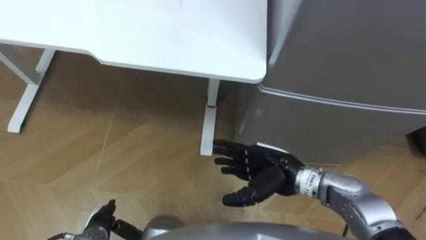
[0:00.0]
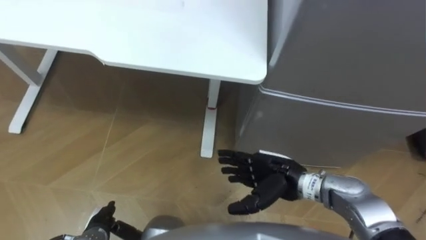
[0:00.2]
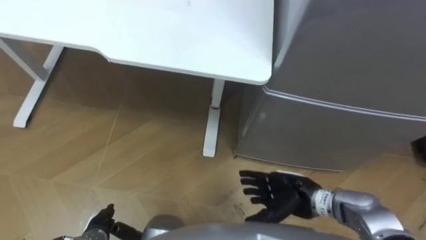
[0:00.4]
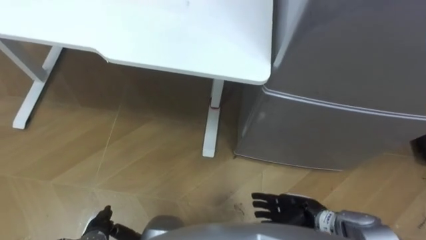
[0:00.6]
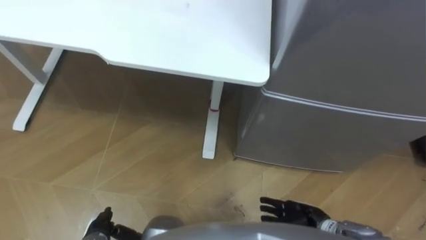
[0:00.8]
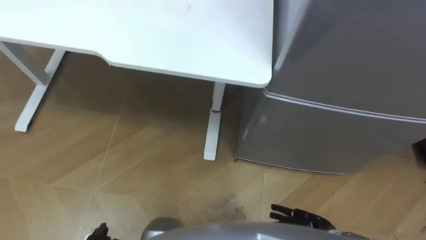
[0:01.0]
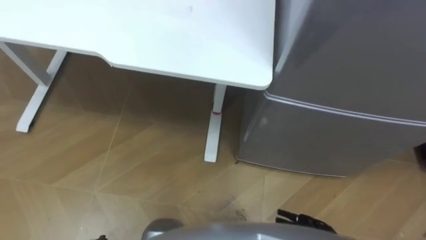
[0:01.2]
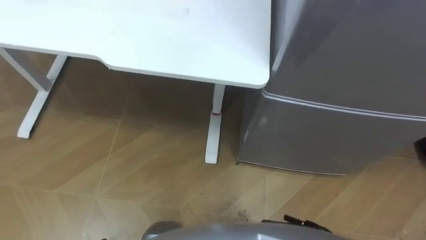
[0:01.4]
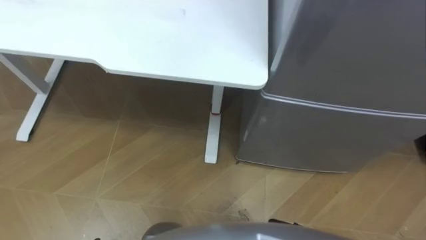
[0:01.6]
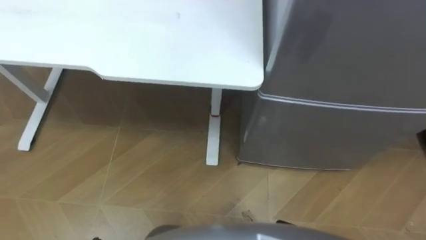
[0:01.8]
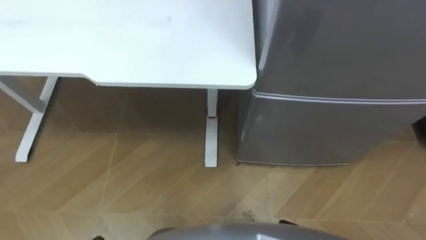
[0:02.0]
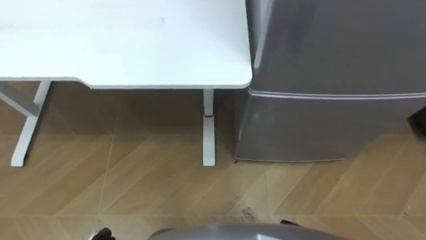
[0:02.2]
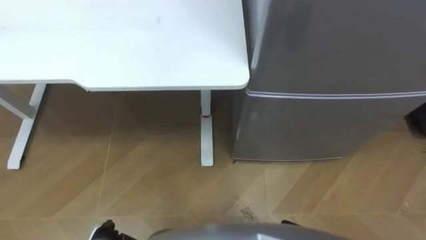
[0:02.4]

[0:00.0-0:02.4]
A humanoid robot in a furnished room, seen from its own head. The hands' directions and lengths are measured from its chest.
Task of the whole recording: Place the drink on the table on the bottom shelf of the refrigerator, then close the drawer and the refrigerator door.
0.0 to 1.2 s: The right hand shifts about 20 cm downward, backward and to the right.

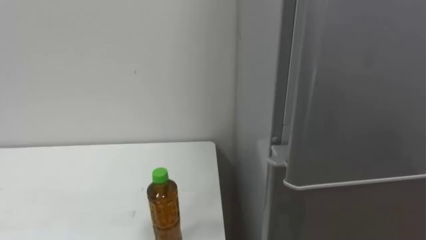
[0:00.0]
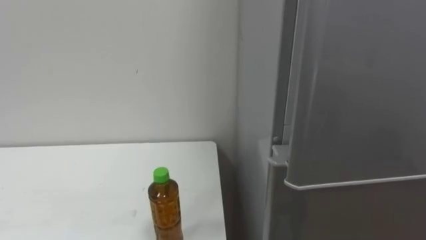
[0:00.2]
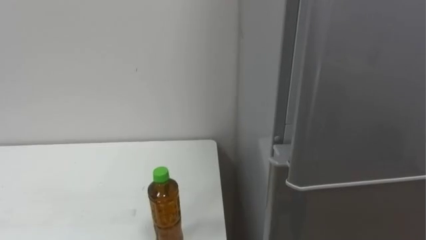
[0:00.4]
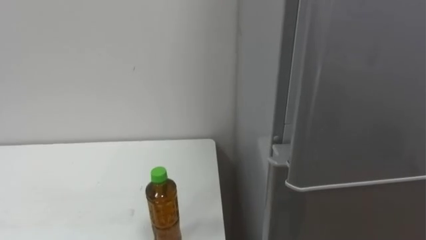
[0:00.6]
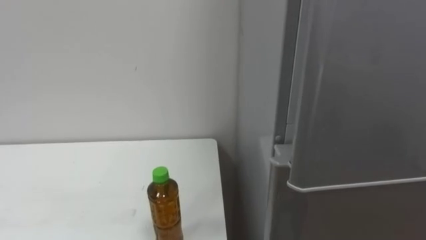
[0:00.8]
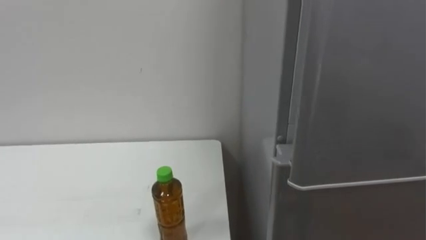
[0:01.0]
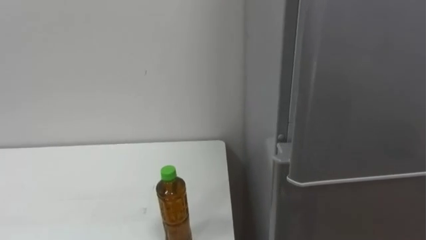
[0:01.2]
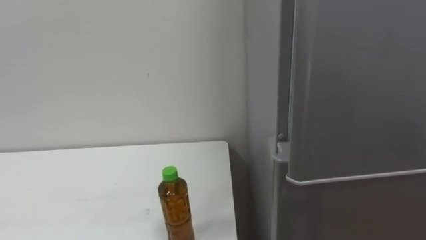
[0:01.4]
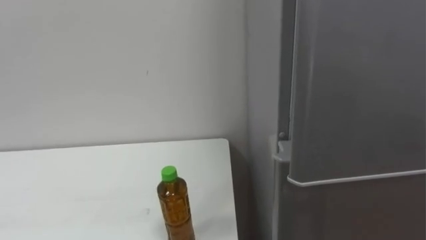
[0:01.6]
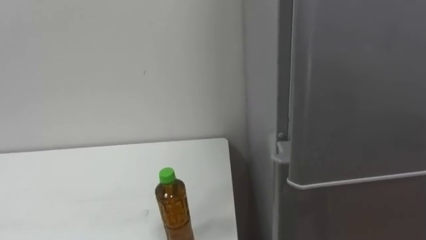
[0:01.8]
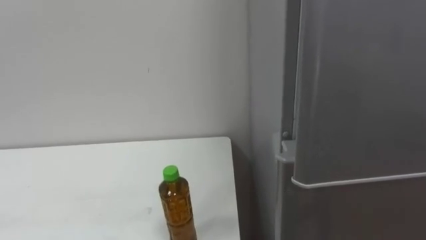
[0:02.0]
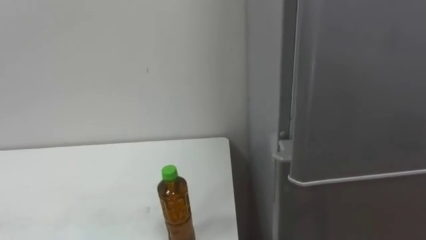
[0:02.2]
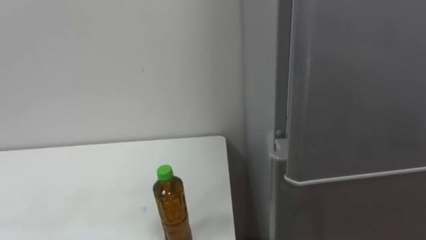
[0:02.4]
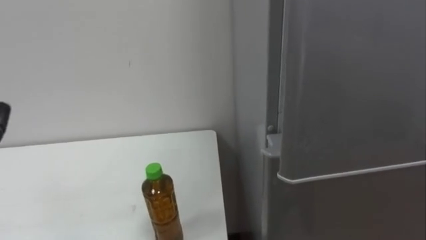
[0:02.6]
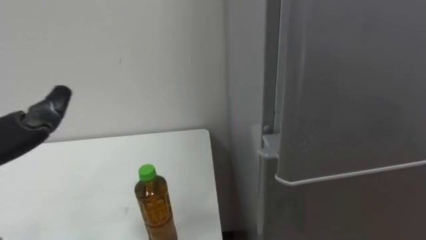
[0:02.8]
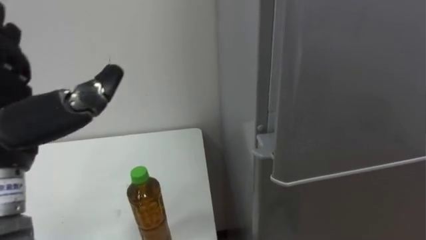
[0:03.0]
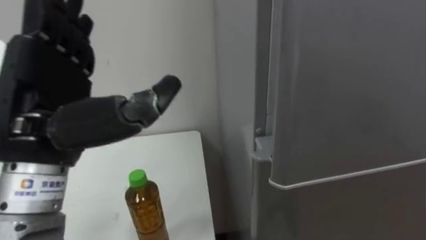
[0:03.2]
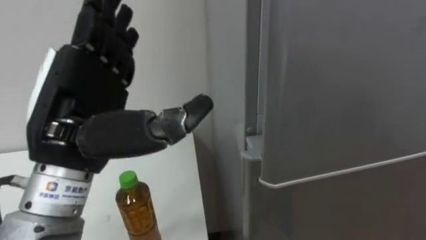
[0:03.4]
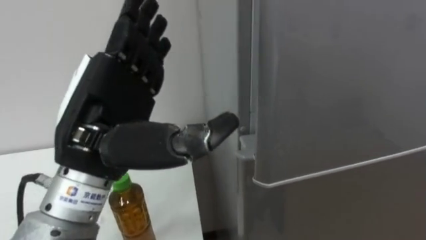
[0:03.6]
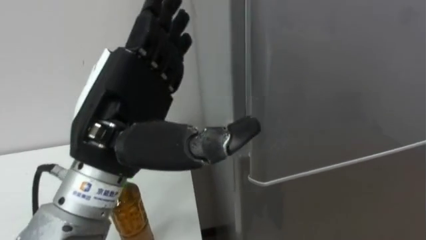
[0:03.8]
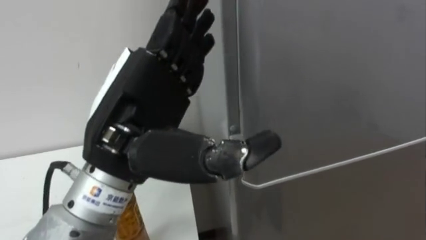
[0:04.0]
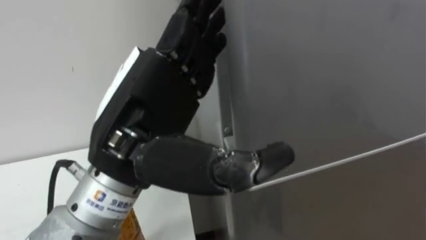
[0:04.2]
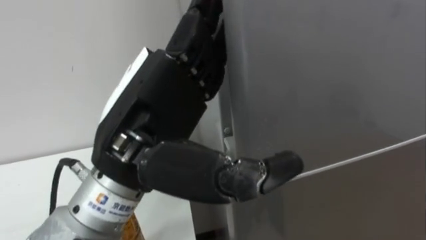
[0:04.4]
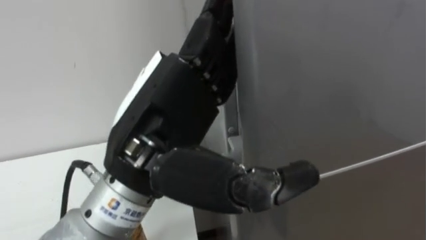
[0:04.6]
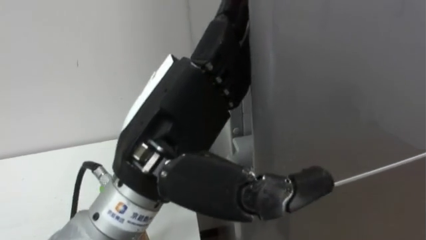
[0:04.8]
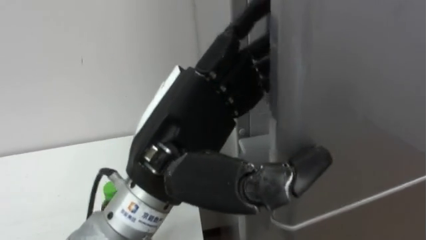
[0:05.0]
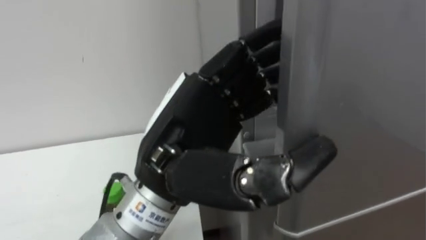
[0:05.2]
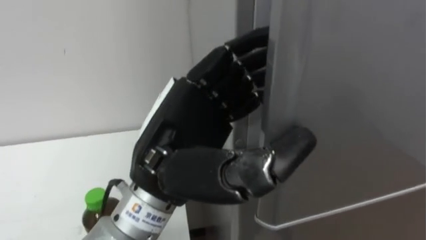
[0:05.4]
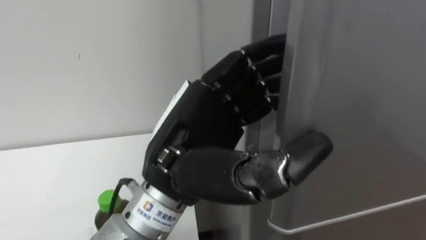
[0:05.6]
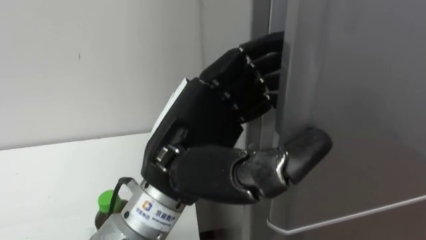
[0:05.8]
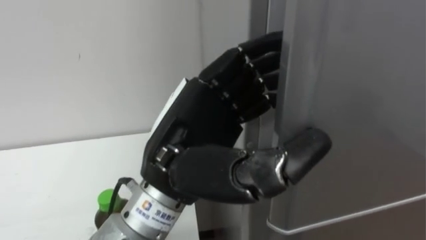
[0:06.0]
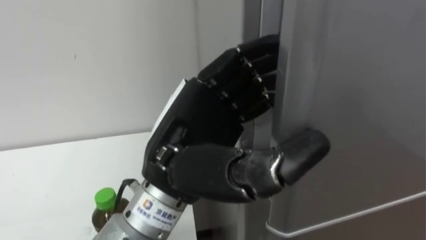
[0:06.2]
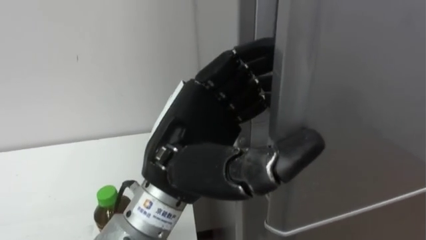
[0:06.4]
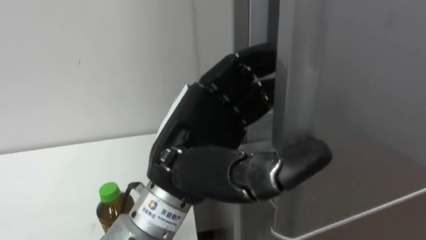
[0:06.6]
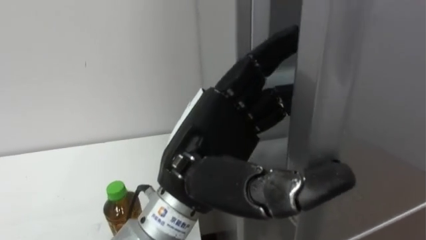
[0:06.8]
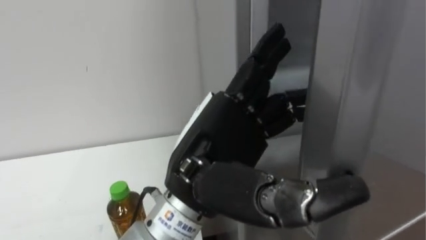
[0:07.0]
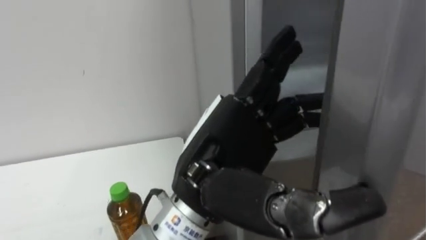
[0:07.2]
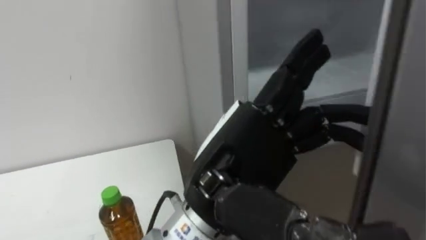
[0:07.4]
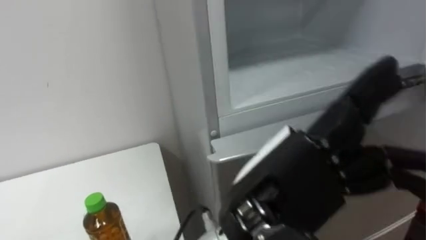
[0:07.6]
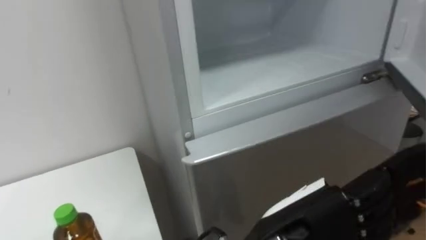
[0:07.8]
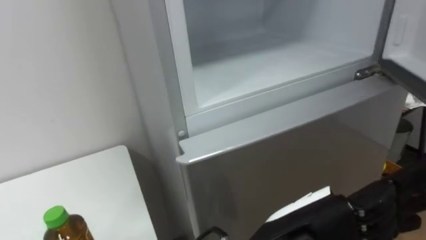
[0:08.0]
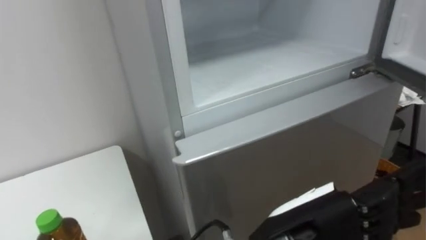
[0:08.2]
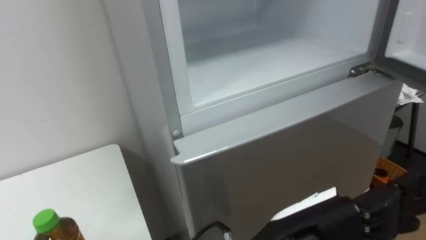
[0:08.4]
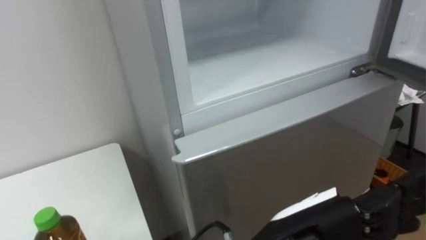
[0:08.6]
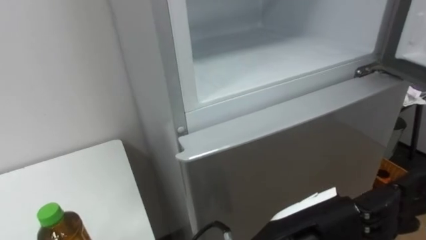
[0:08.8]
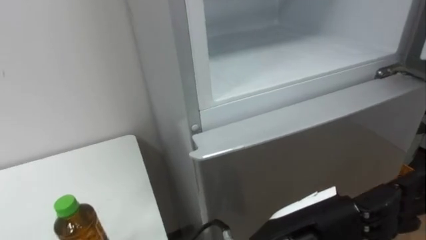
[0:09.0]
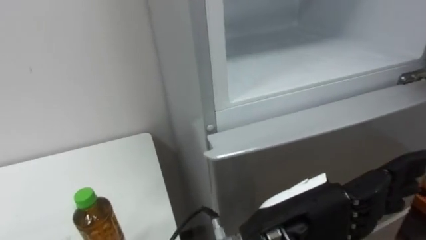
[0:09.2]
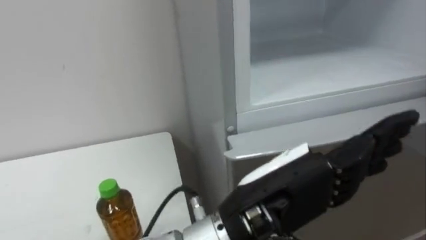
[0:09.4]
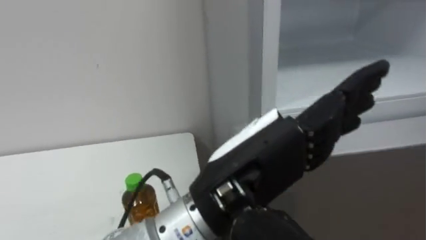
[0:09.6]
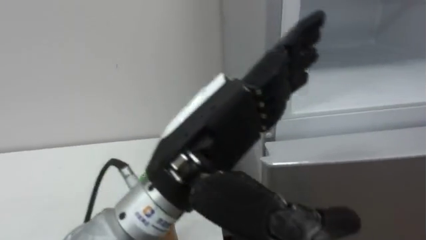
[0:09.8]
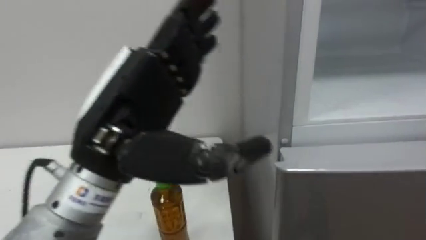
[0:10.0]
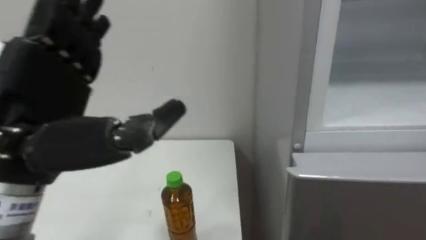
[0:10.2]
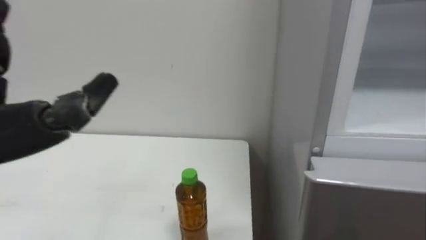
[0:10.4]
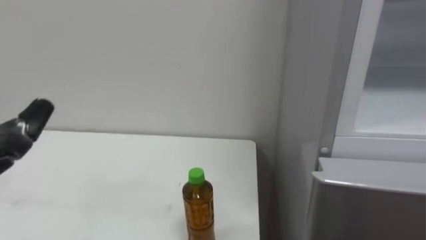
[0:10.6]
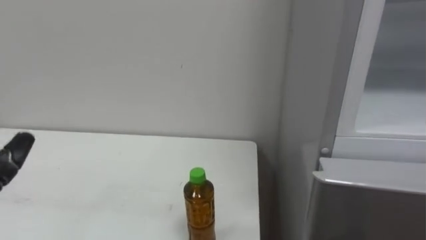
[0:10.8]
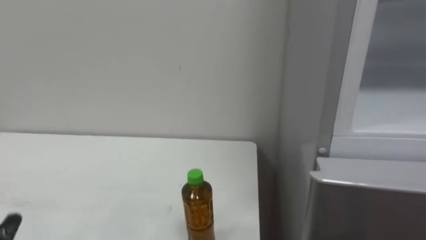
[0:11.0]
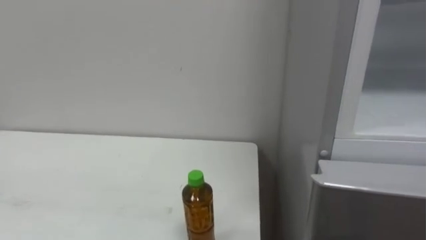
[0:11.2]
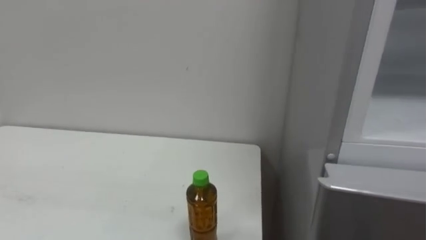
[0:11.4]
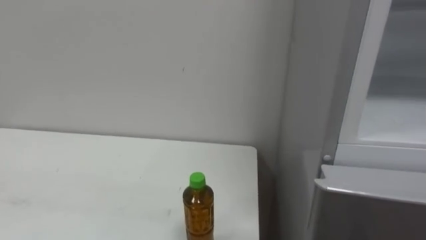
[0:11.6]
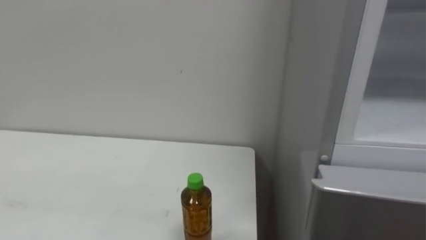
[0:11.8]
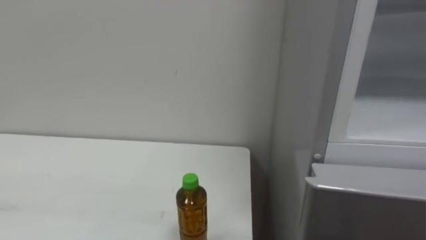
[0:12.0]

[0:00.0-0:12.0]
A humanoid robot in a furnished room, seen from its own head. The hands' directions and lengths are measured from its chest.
Task of the whole recording: Open the upper refrigerator door, put the drink from the table into the refrigerator, and then close the refrigerator door.
4.4 to 6.0 s: The left hand moves roughly 5 cm, and closes up.
6.0 to 7.6 s: The left hand travels to the right by some 10 cm, and opens up.
7.6 to 9.0 s: The left hand goes approximately 5 cm downward.

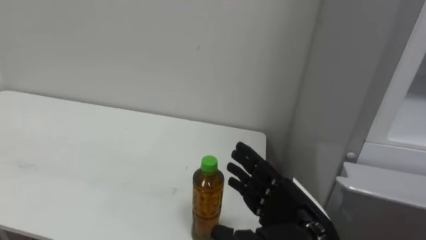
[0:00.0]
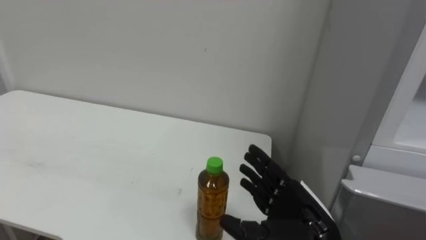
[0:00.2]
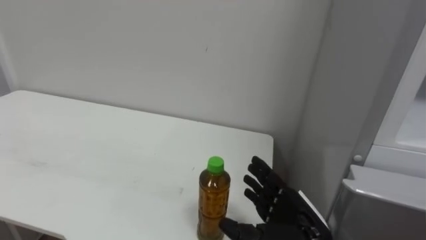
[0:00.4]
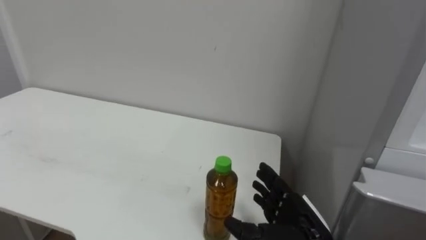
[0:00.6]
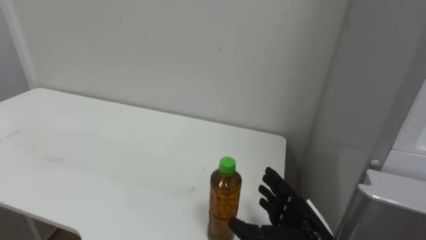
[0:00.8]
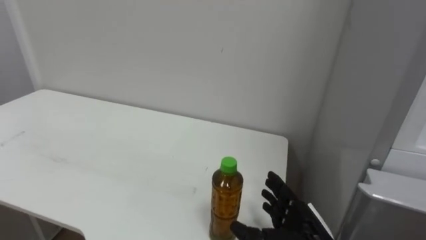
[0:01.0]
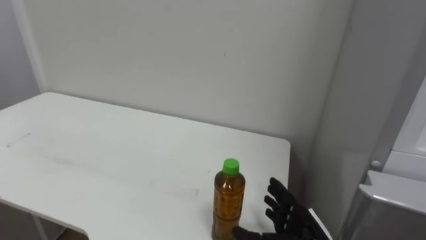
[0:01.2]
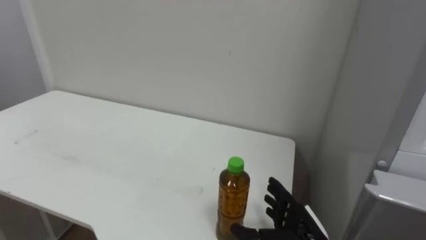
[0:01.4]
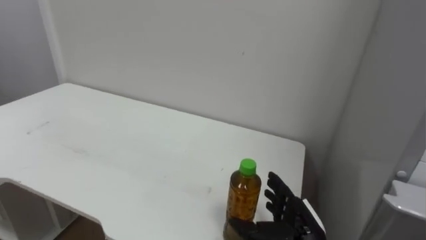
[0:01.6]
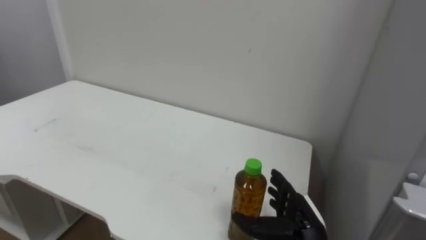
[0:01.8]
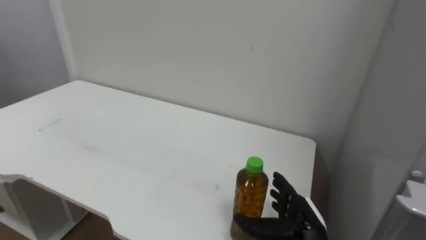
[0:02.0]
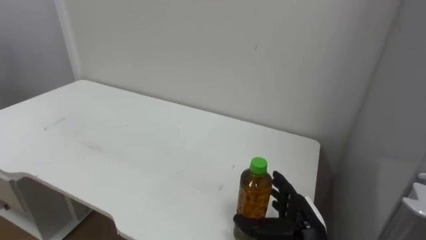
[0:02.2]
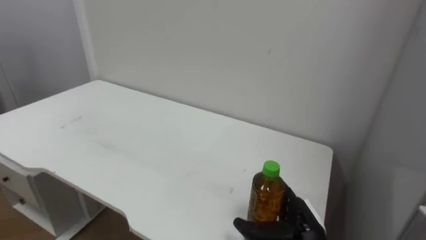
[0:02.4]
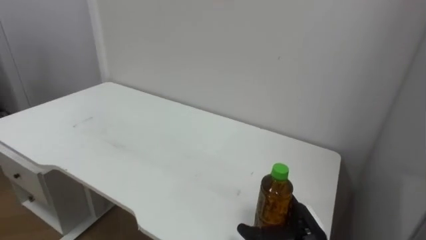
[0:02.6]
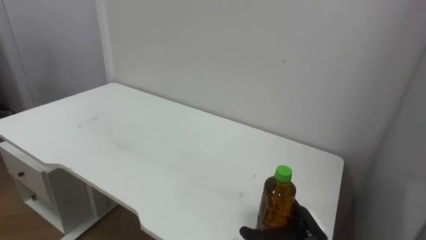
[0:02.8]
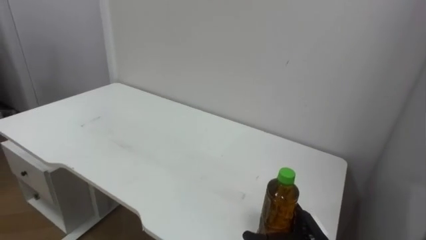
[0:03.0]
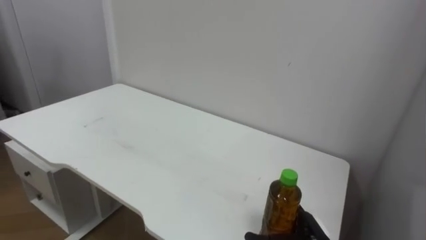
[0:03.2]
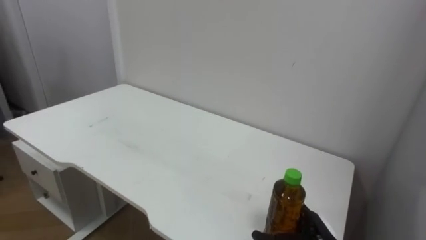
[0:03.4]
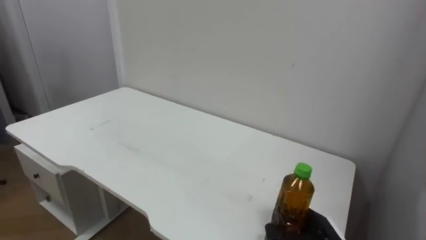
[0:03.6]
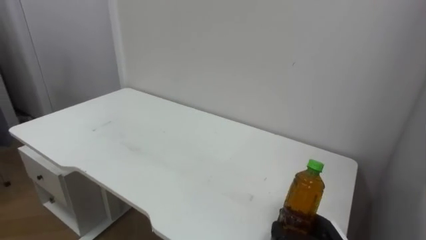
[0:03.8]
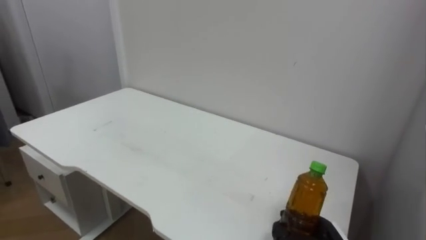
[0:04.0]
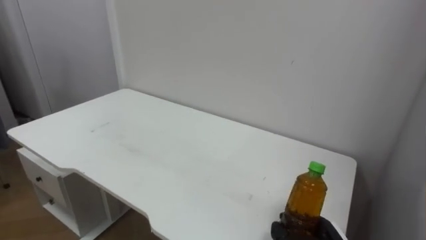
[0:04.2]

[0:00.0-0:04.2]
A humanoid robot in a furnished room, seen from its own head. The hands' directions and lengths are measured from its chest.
Task of the whole recording: Open the upper refrigerator door, put the drink from the table into the refrigerator, and then close the refrigerator door.
0.0 to 1.4 s: The right hand goes roughly 10 cm downward.
